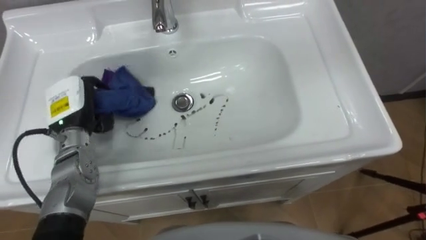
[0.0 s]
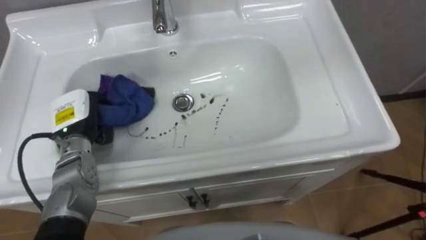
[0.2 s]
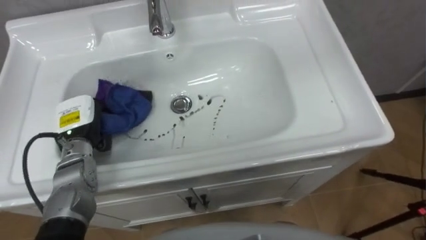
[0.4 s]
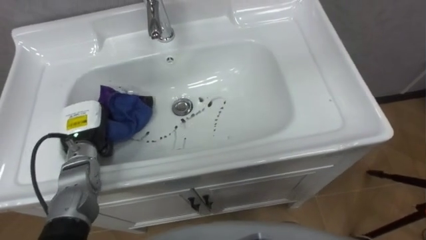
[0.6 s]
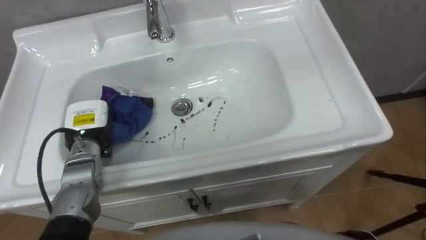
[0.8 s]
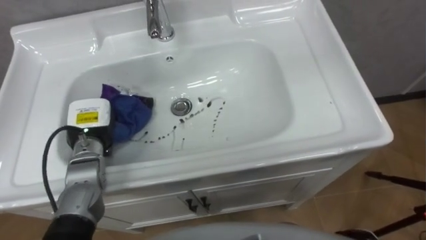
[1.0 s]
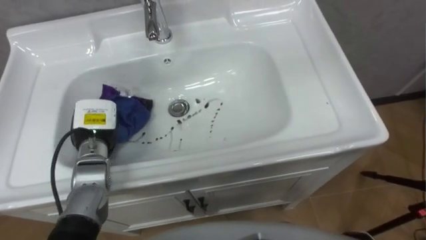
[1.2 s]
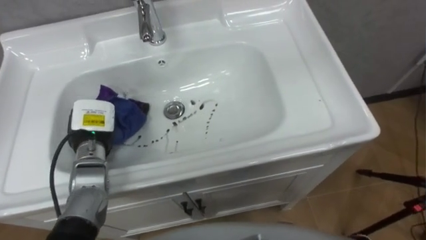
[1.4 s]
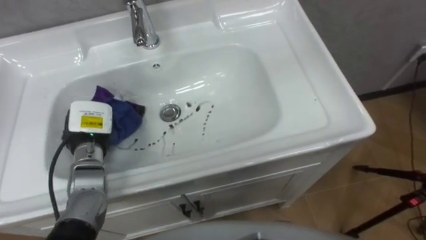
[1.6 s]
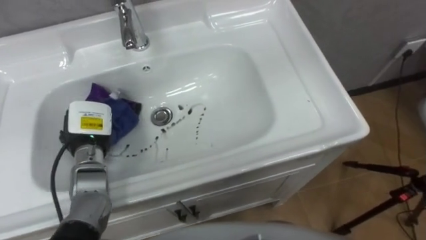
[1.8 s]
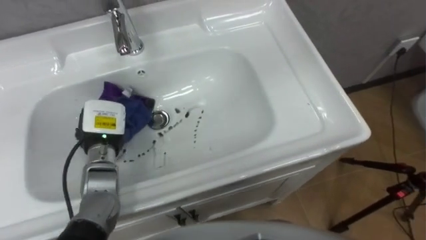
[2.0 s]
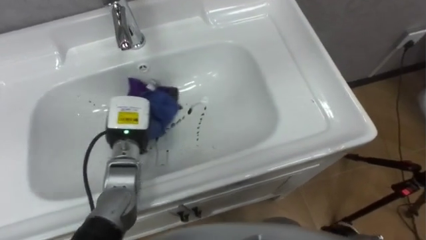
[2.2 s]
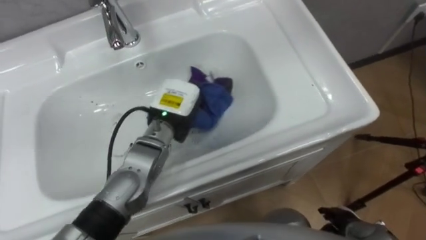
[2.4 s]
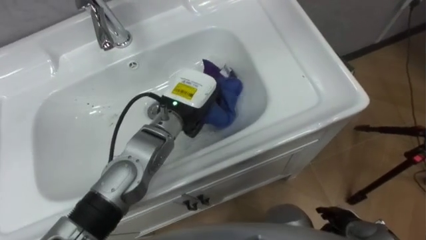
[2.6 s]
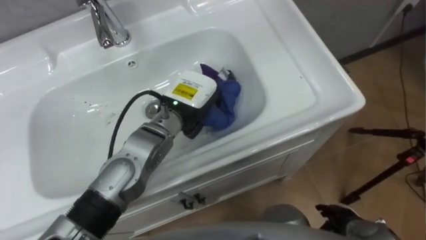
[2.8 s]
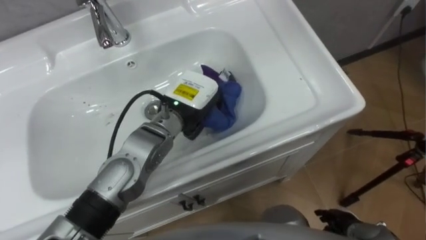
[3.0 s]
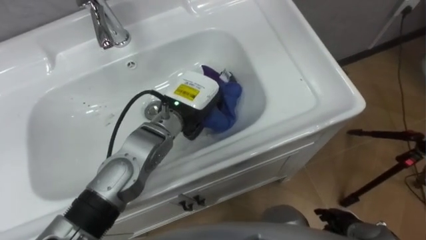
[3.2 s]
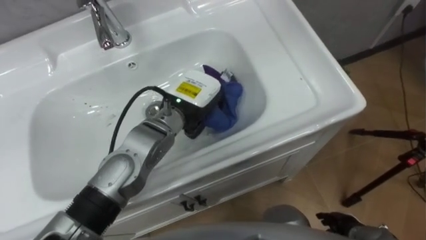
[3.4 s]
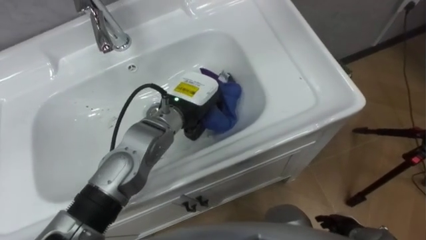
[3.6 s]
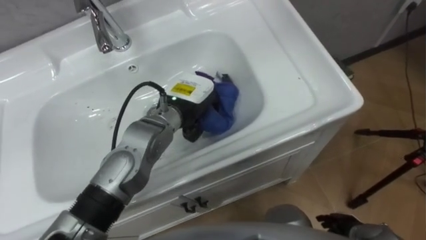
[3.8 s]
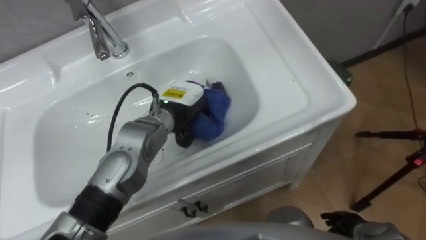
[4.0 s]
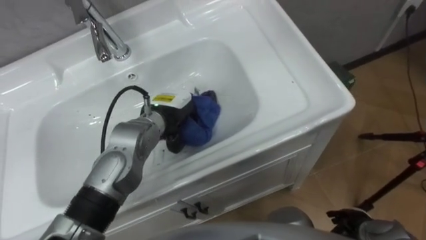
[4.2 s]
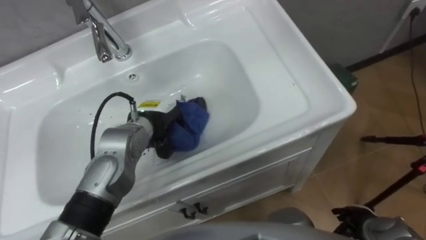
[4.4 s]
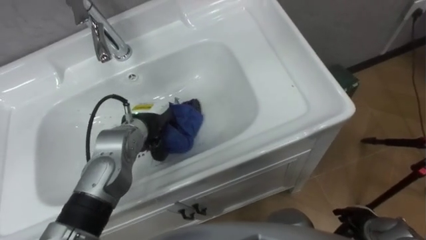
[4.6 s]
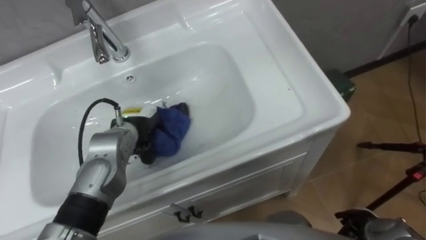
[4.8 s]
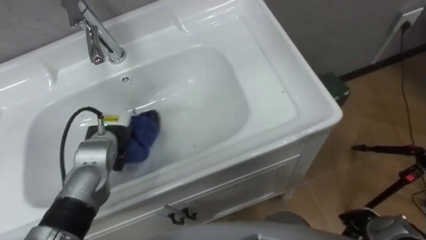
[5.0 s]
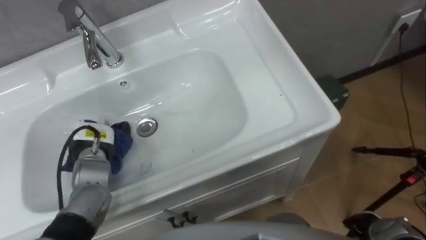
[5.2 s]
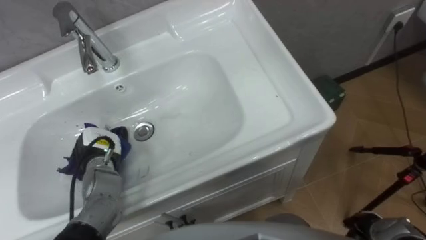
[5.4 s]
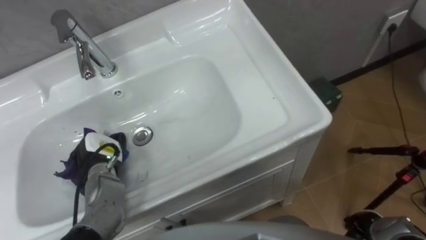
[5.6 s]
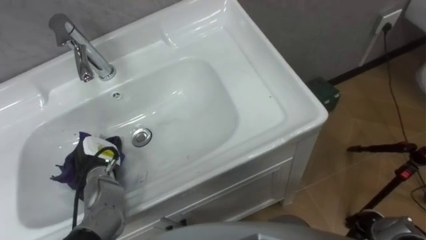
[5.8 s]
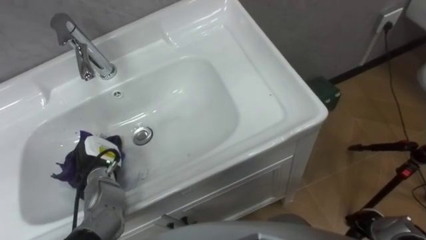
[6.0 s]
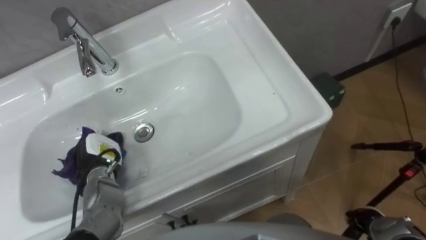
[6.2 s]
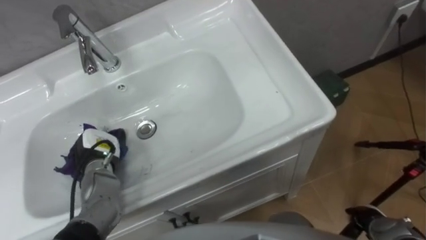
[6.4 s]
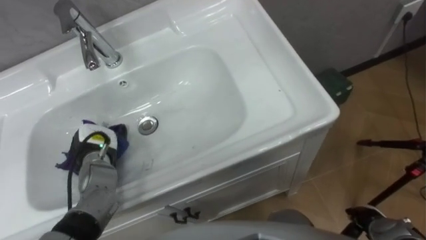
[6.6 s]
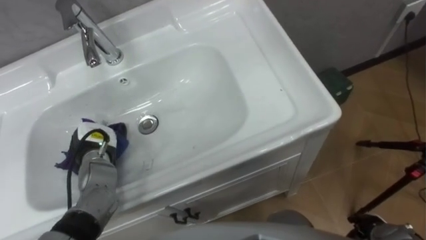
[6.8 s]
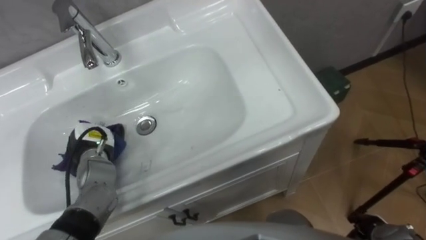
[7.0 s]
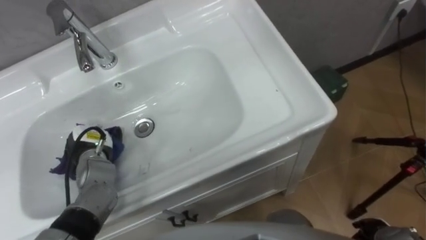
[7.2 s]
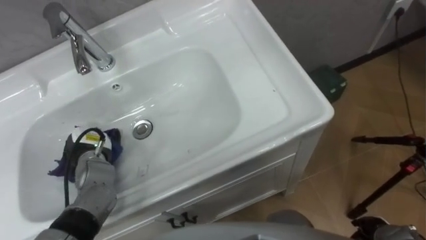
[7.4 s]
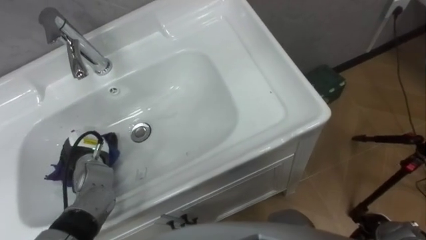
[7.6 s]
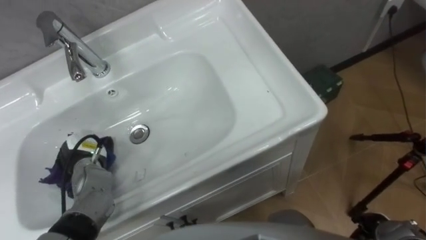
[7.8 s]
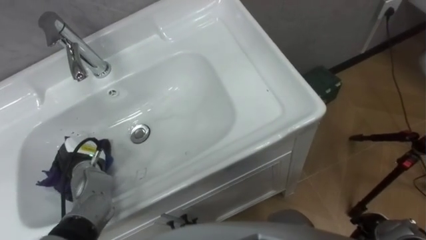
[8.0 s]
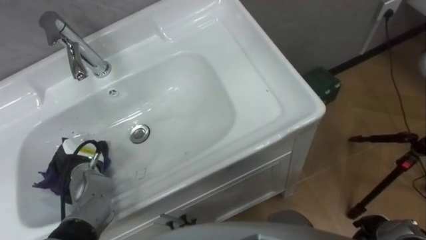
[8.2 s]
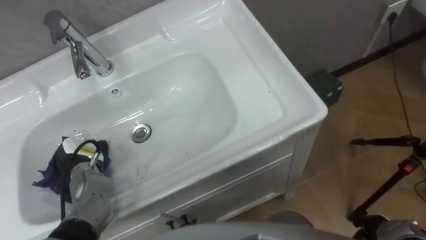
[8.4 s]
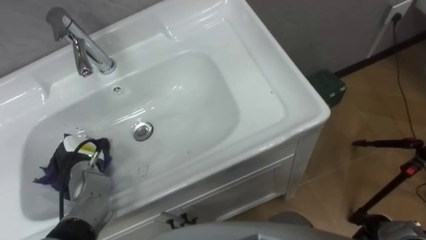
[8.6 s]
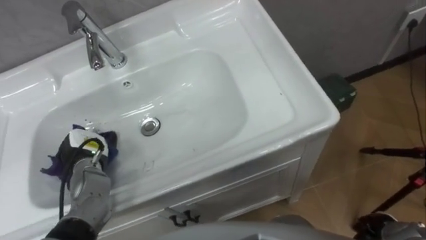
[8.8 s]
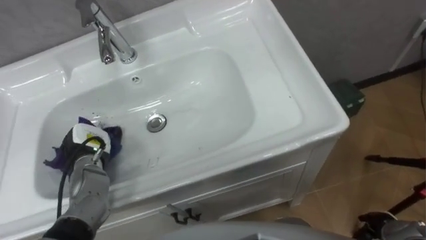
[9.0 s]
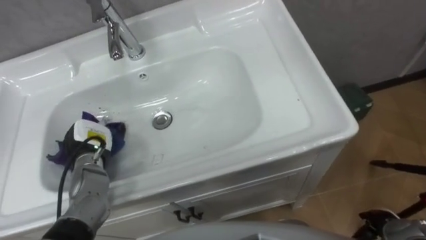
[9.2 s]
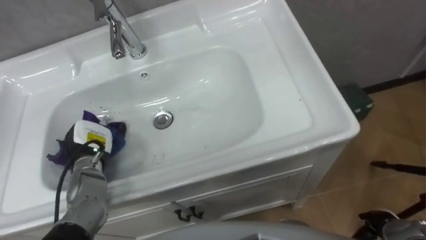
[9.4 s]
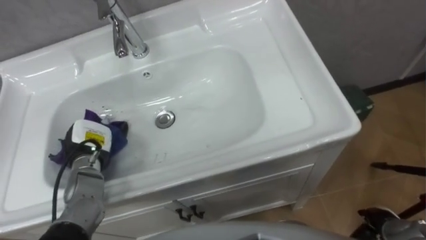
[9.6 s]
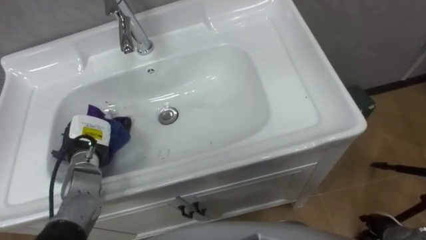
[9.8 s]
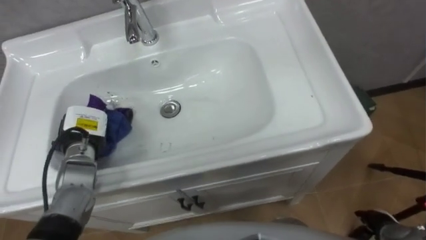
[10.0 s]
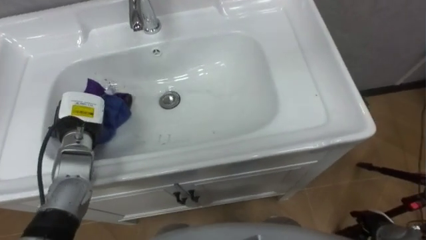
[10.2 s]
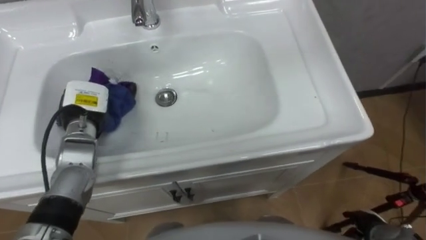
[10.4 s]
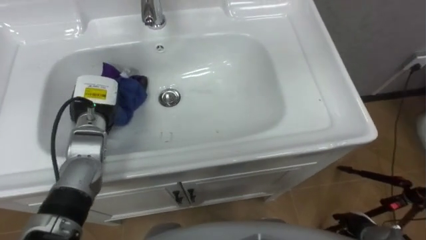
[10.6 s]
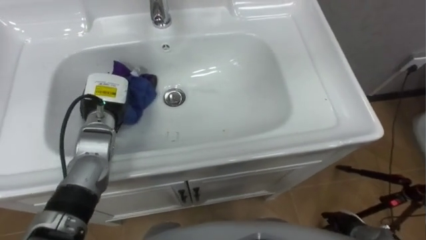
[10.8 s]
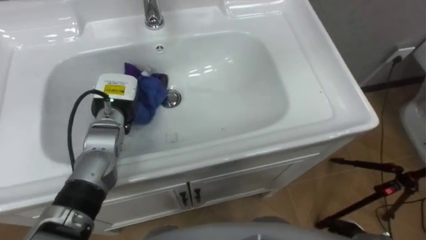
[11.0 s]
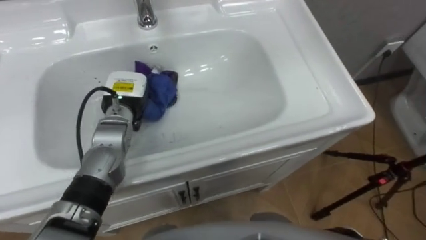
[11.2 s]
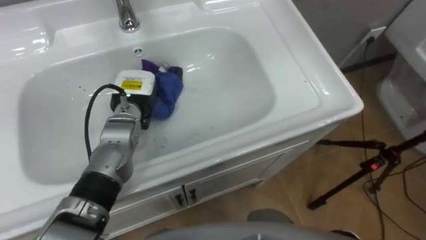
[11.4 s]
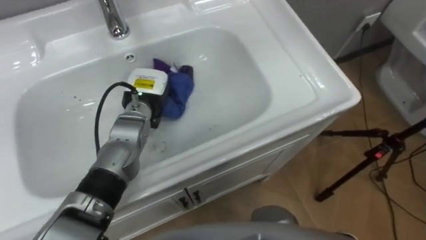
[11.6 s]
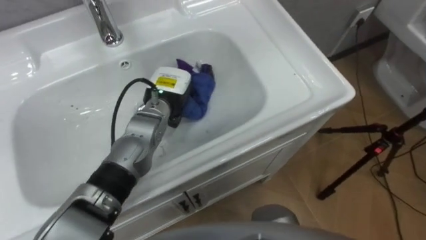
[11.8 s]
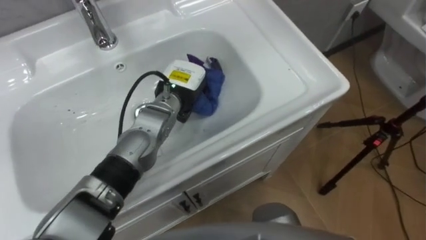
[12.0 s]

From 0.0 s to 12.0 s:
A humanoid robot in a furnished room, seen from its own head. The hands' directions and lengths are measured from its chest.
Task of the whole recording: Use the cloth on the right to wipe away the black stain in the sink.
From 0.0 s to 1.6 s: The left hand heads downward, covering some 5 cm.
From 1.6 s to 3.0 s: The left hand heads to the right, covering some 20 cm.
From 3.0 s to 4.4 s: The left hand moves to the left and downward, some 10 cm.
From 4.4 s to 6.0 s: The left hand shifts roughly 15 cm to the left, backward and downward.
From 9.0 s to 10.4 s: The left hand heads upward and forward, covering approximately 10 cm.
From 10.4 s to 12.0 s: The left hand travels to the right by about 20 cm.

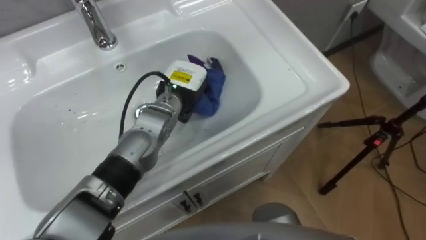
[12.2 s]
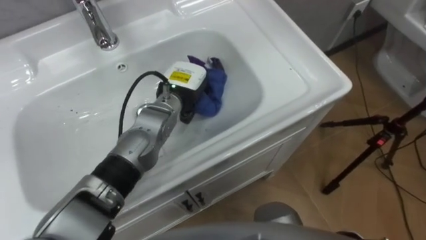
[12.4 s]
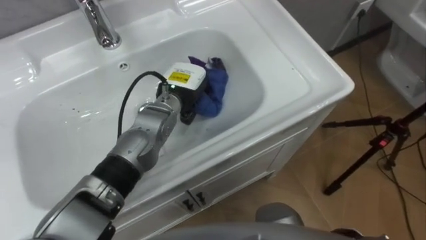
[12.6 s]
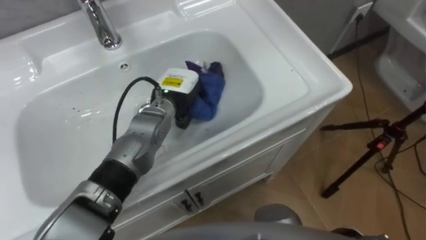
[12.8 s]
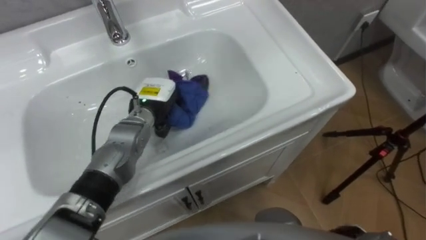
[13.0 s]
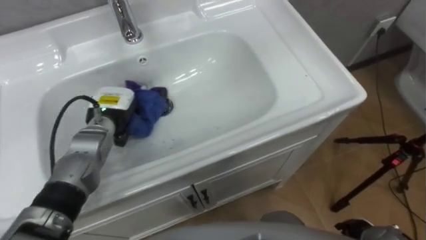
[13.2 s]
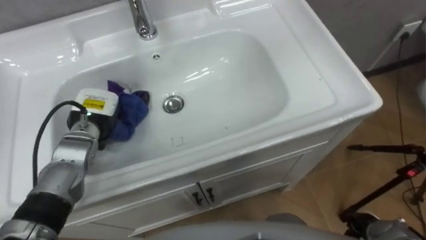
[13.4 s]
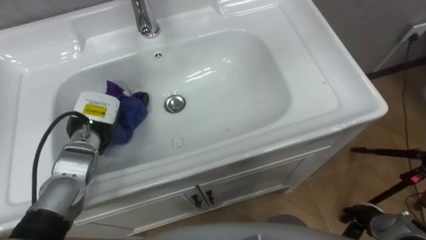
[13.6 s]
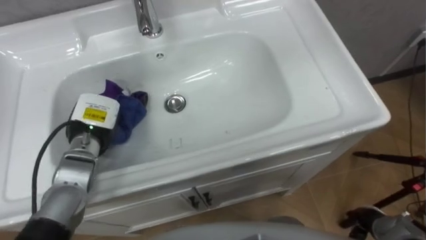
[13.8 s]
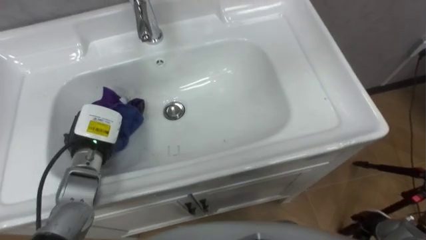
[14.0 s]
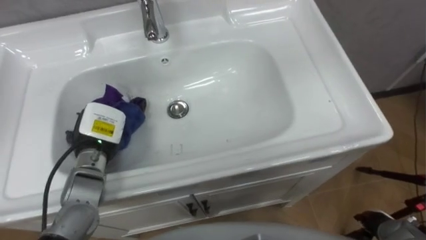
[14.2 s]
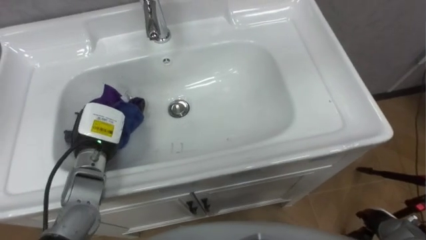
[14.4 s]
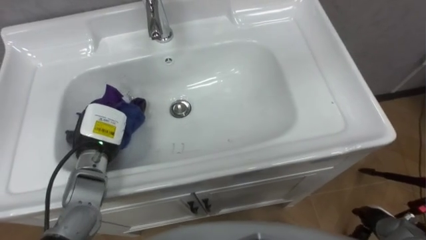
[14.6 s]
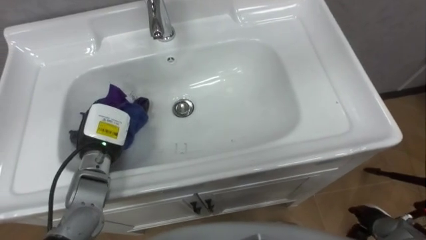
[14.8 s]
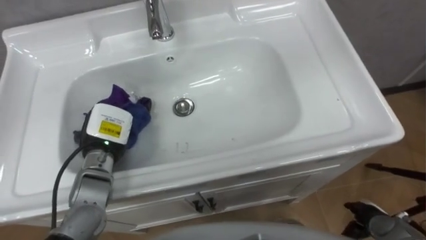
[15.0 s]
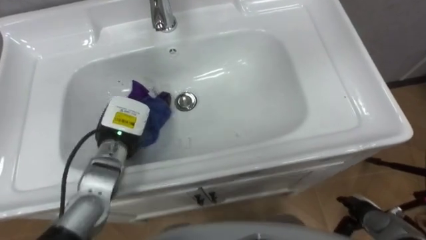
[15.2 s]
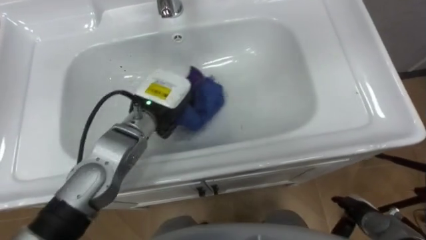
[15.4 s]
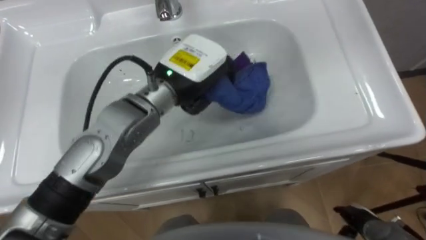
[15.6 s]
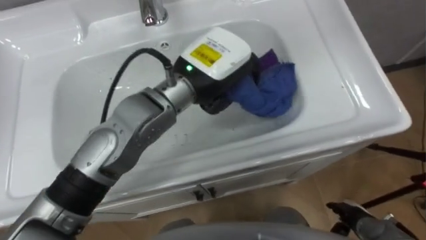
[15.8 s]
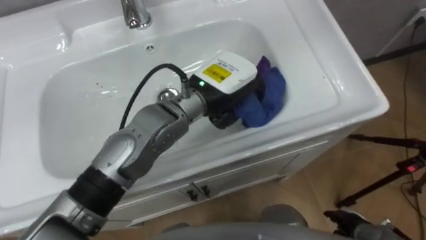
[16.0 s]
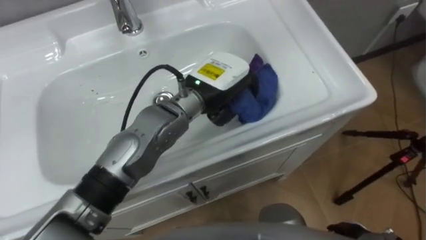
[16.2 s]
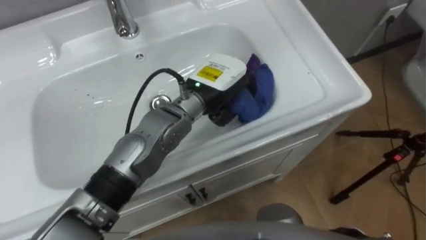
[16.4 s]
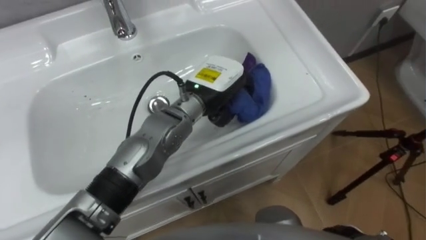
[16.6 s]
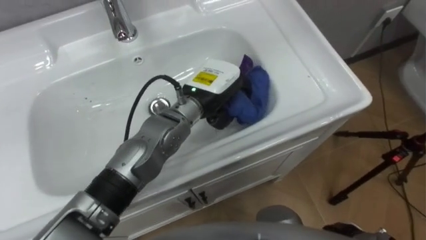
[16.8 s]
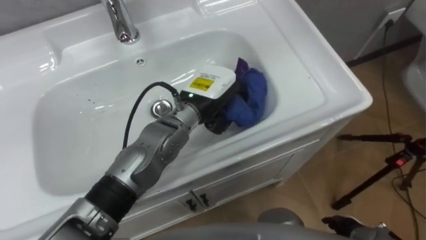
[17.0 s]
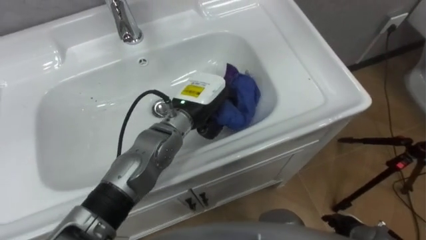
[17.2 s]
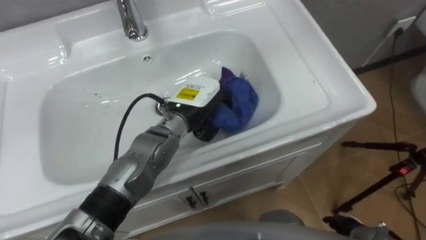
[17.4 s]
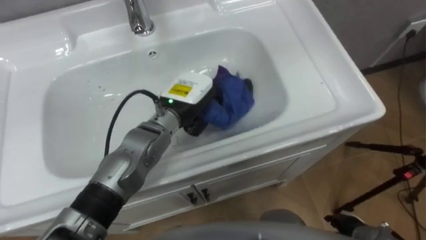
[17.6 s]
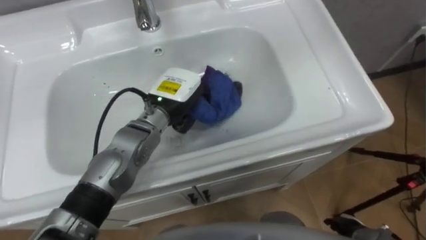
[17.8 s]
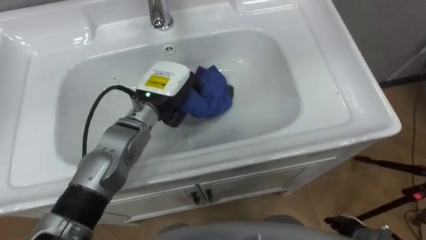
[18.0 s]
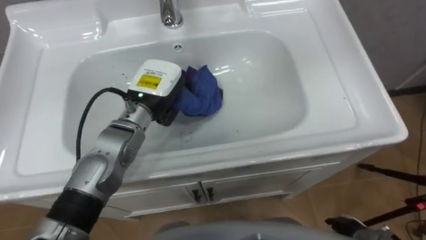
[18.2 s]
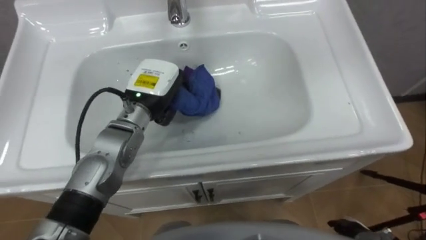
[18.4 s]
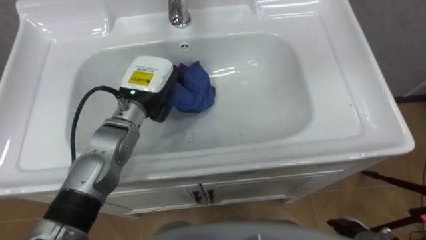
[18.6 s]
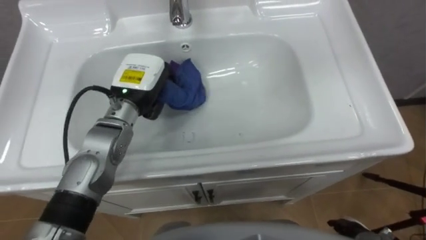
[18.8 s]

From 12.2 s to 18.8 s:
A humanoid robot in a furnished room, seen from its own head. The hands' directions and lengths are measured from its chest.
Task of the whole recording: Use the cloth on the right to wipe away the black stain in the sink.
From 12.2 s to 13.8 s: The left hand moves to the left and backward, approximately 20 cm.
From 13.8 s to 15.4 s: The left hand travels to the right and upward by roughly 15 cm.
From 15.4 s to 17.2 s: The left hand moves to the right, about 10 cm.
From 17.2 s to 18.8 s: The left hand is displaced to the left by about 10 cm.
